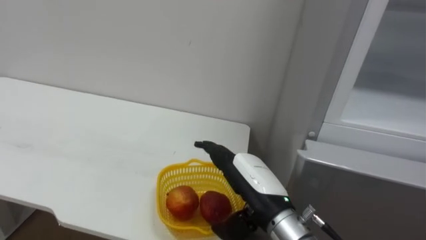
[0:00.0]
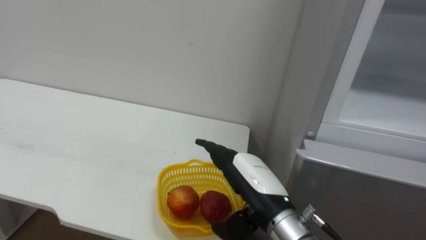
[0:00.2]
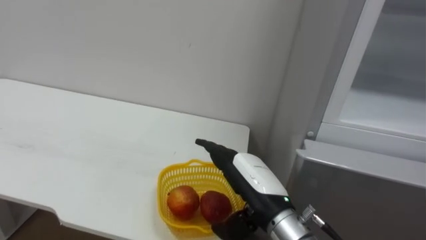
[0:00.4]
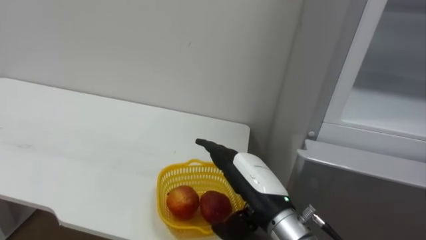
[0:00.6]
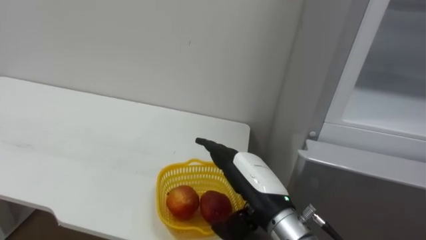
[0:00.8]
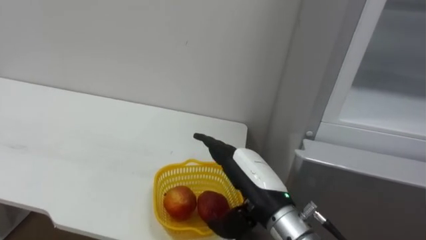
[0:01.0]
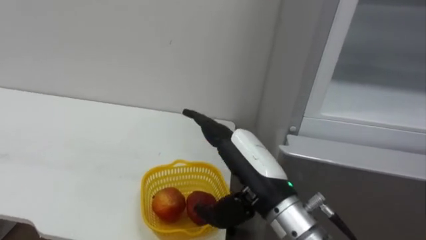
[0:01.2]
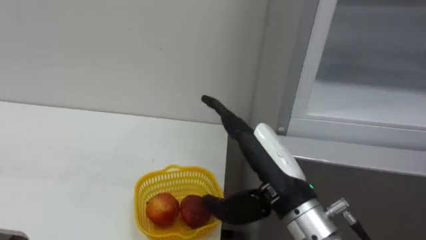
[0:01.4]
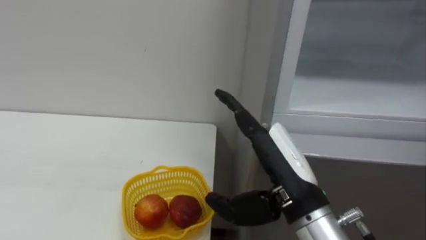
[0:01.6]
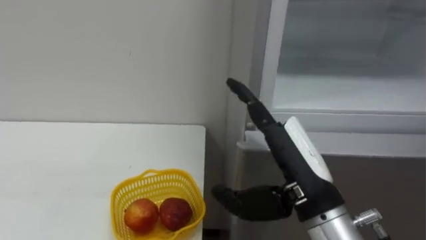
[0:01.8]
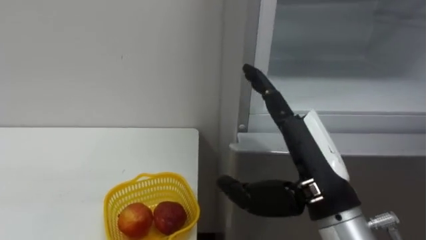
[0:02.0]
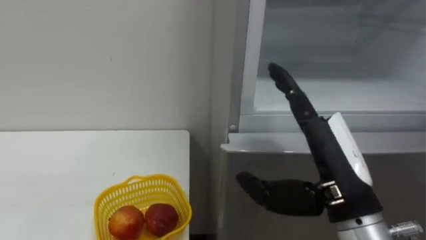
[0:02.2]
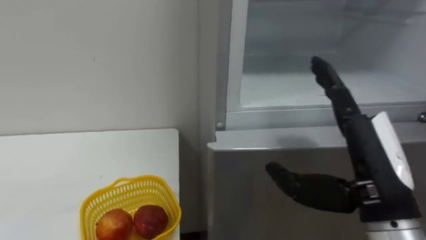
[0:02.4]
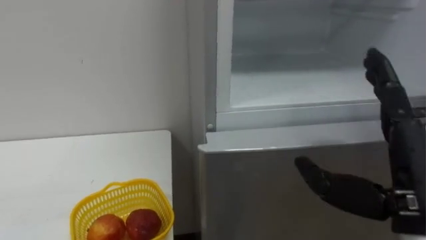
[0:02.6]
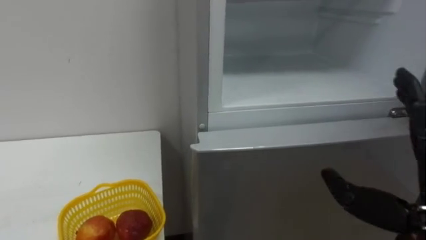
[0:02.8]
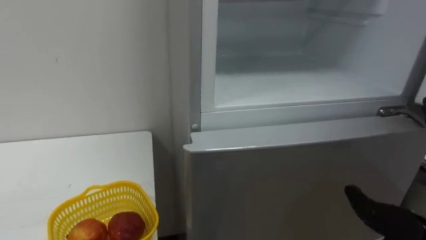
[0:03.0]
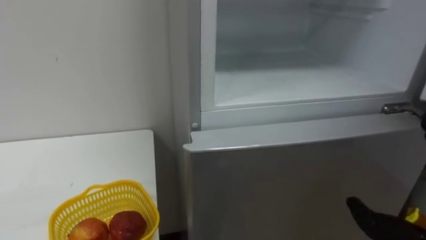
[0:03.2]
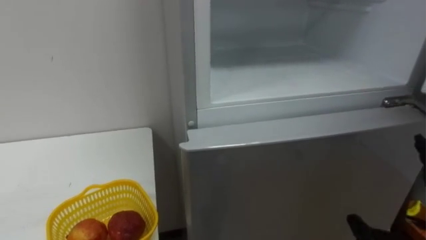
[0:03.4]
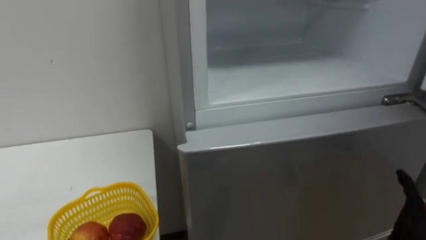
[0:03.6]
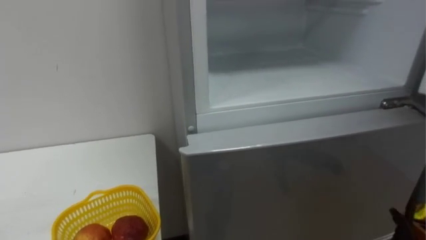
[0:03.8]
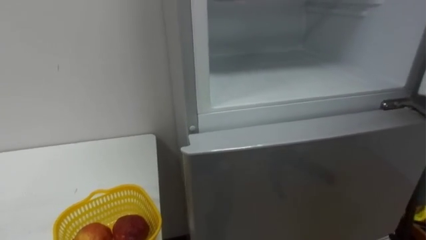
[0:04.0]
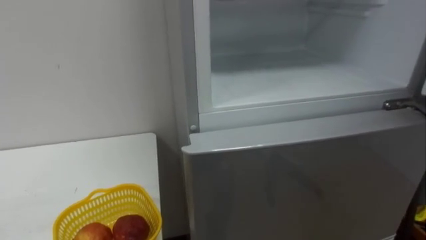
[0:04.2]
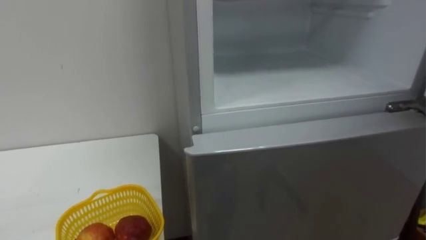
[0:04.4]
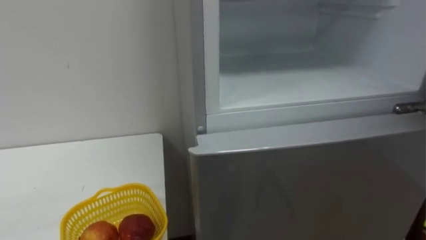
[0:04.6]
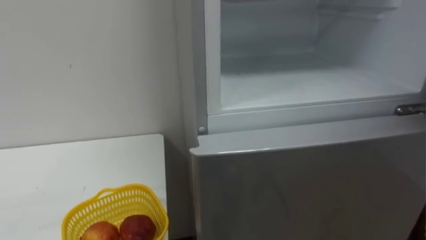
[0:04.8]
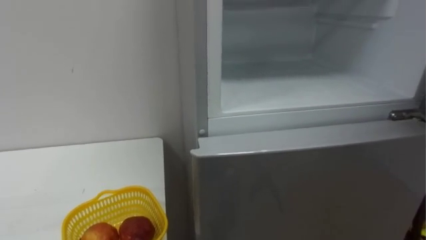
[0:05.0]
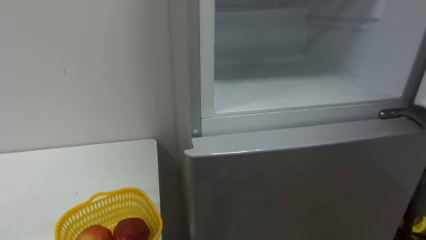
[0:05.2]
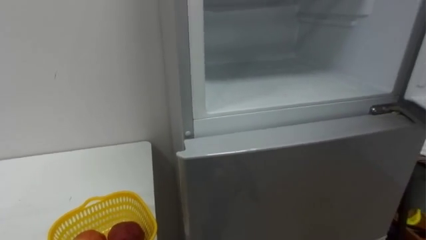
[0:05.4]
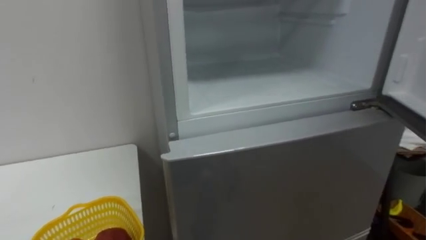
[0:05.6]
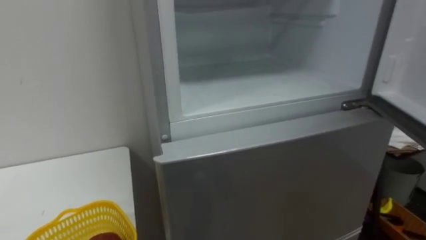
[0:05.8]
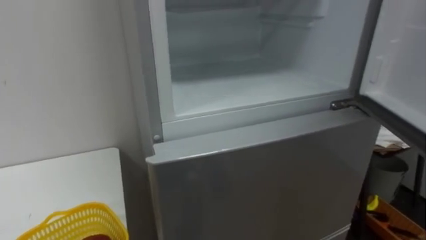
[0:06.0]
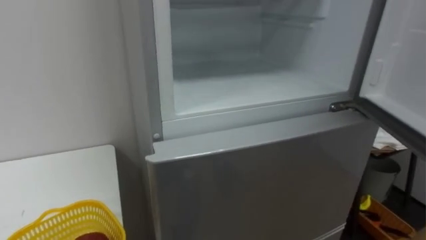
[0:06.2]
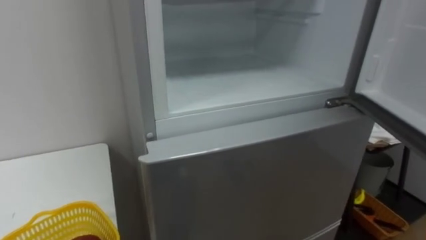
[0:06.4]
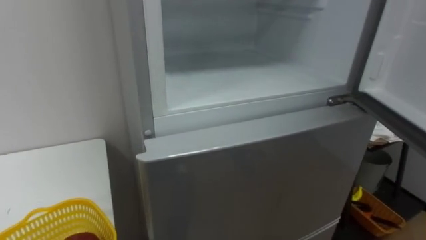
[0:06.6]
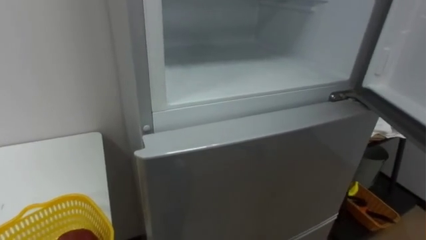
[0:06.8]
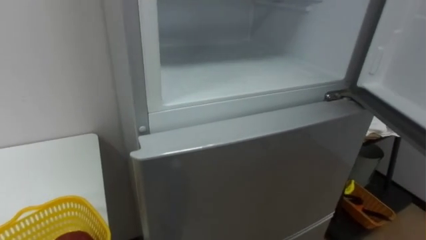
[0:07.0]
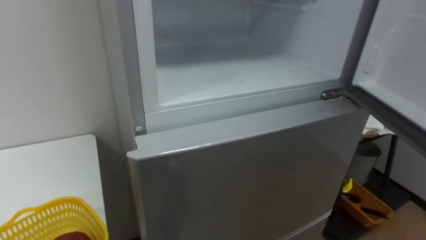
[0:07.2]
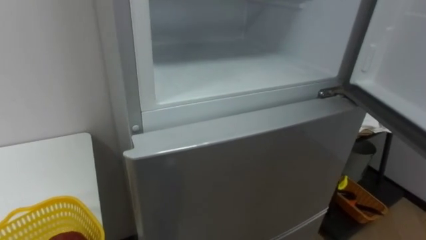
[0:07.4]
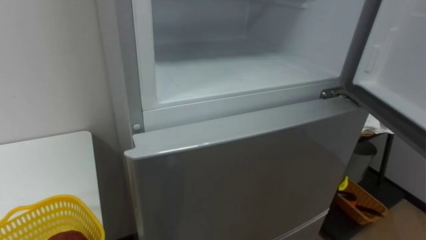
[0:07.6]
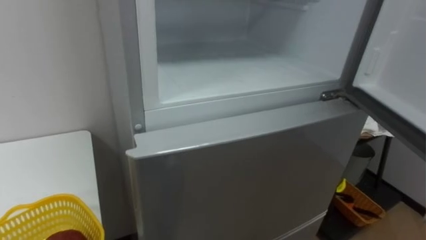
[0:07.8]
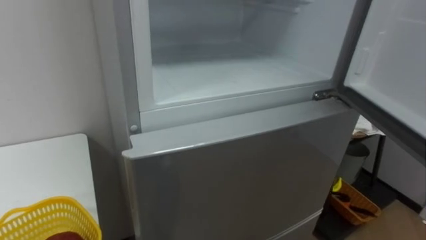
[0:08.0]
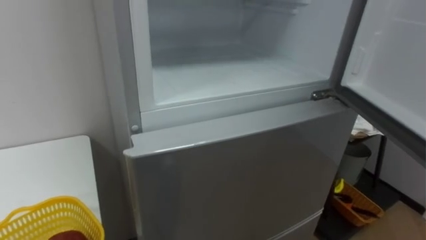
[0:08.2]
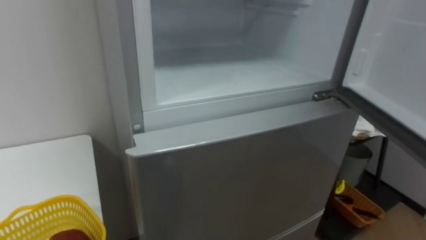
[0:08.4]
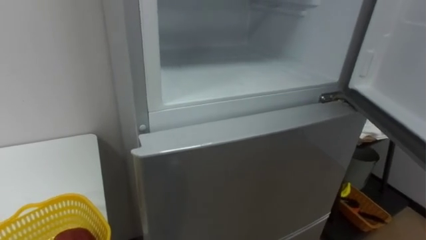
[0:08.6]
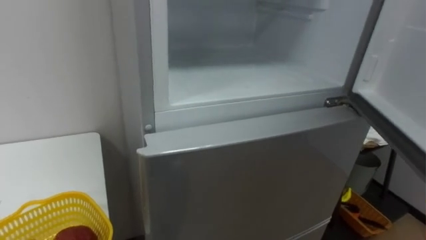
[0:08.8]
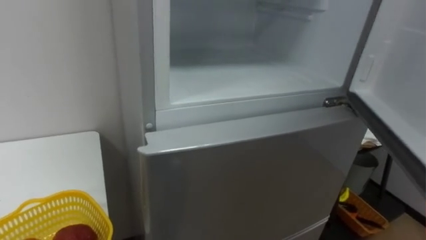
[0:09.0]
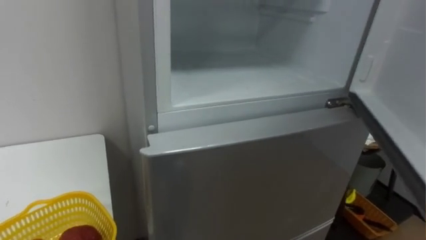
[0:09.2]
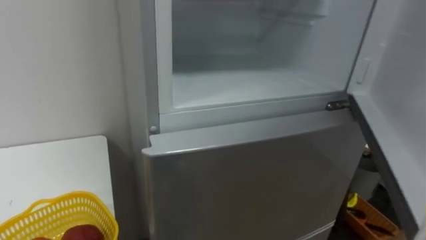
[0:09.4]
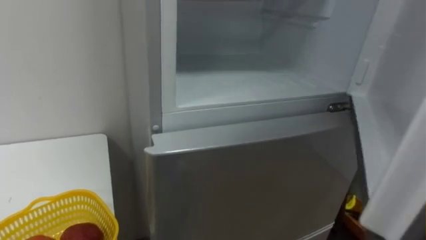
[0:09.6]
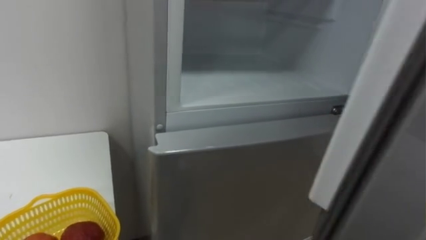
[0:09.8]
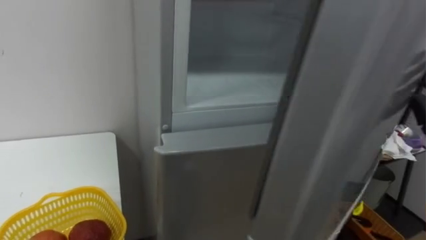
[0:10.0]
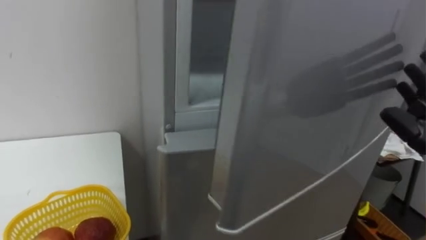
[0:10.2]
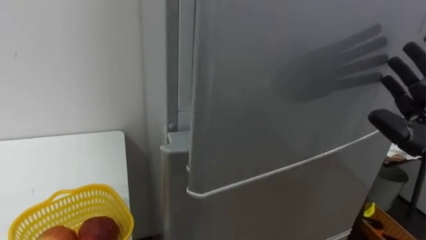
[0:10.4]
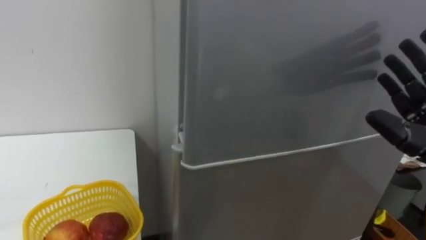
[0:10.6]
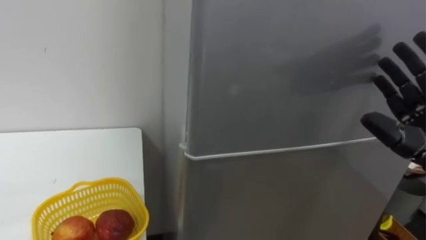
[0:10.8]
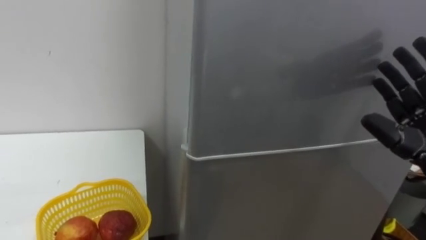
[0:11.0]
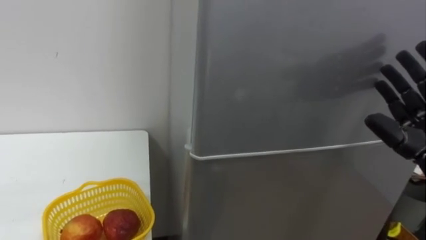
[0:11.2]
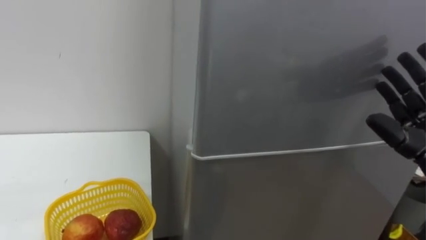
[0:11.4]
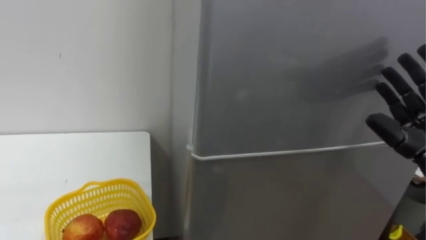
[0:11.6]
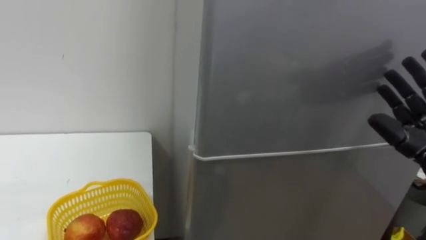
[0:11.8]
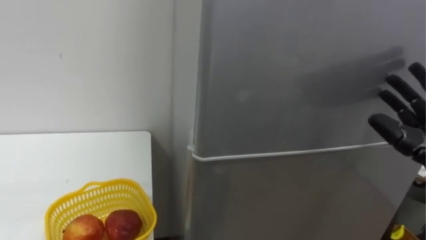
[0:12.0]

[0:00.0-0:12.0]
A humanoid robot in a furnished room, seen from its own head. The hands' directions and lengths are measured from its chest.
Task of the whole recording: Open the refrigerator door, take out the apple and the pomegranate, place them in the fruit basket on the left, and close the refrigerator door.
0:00.0 to 0:01.6: The right hand goes some 5 cm upward.

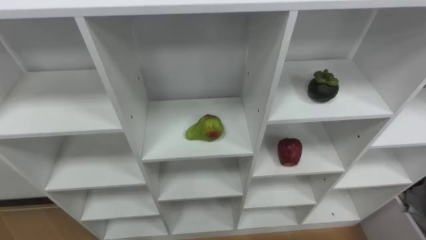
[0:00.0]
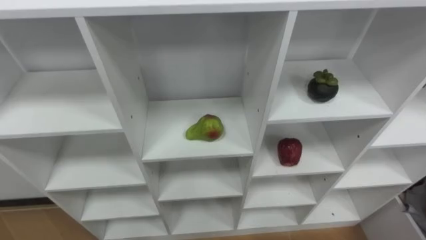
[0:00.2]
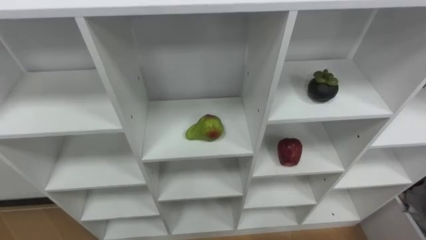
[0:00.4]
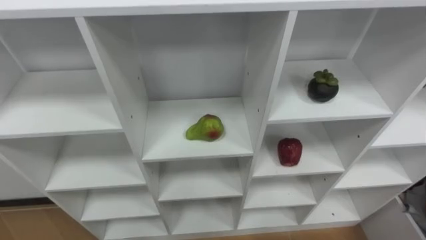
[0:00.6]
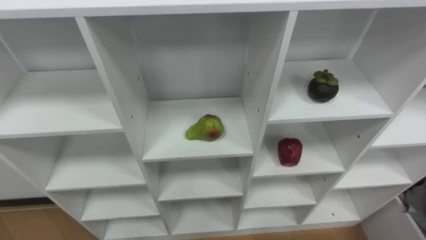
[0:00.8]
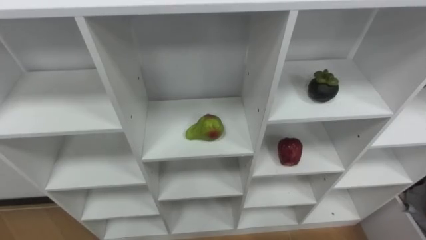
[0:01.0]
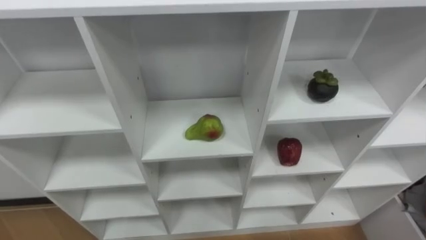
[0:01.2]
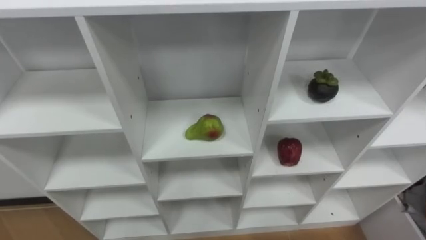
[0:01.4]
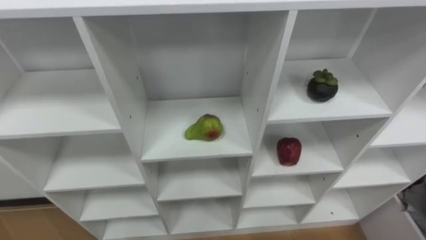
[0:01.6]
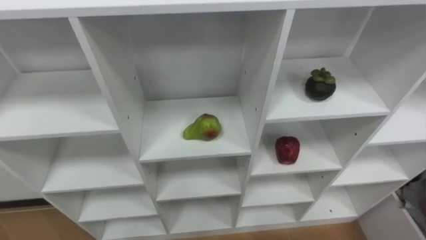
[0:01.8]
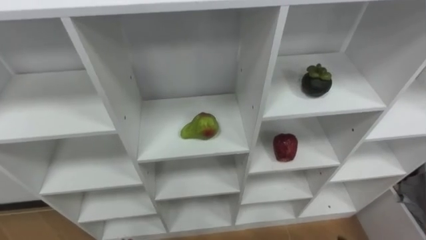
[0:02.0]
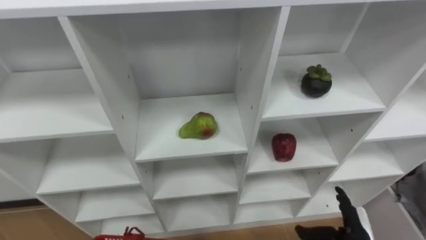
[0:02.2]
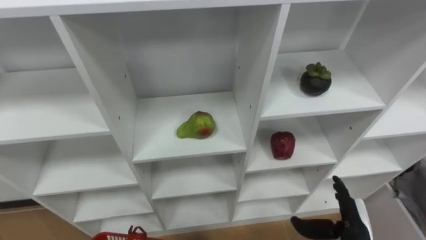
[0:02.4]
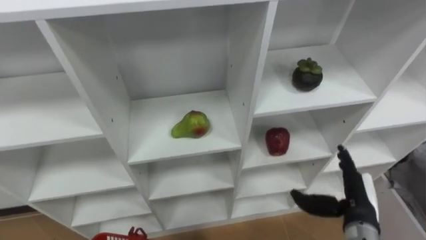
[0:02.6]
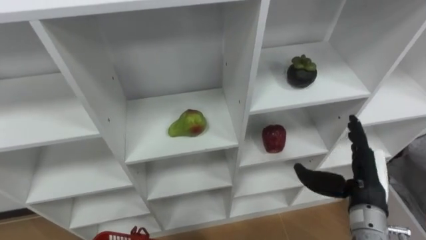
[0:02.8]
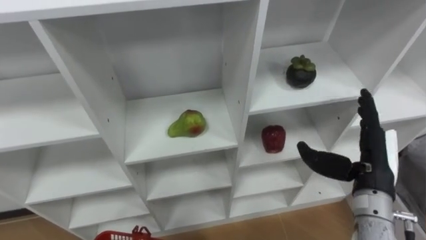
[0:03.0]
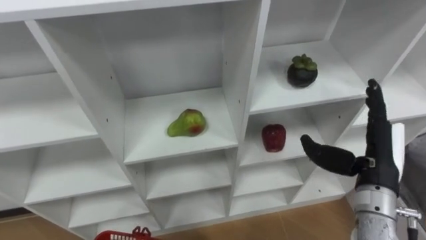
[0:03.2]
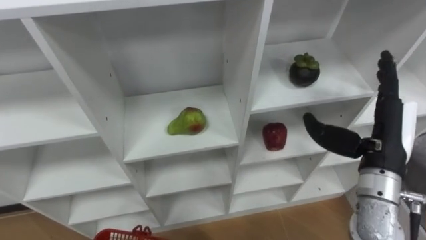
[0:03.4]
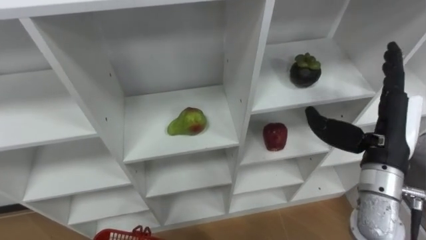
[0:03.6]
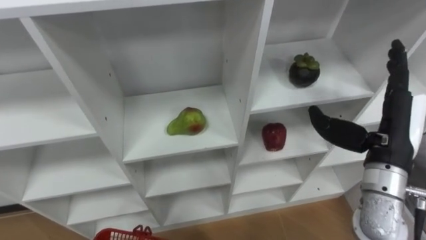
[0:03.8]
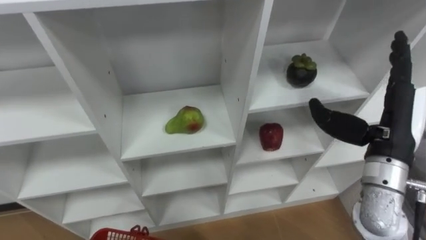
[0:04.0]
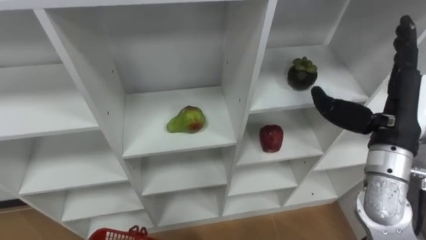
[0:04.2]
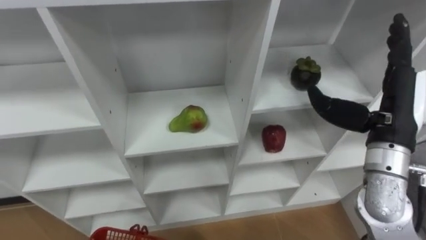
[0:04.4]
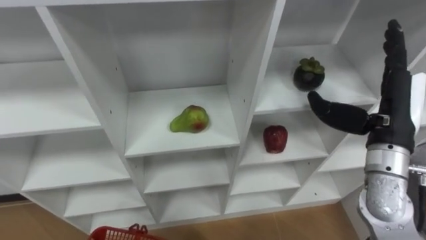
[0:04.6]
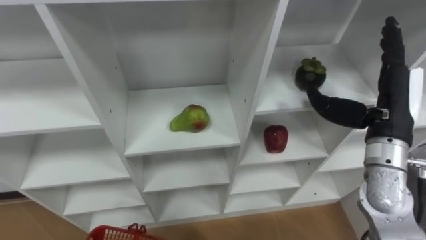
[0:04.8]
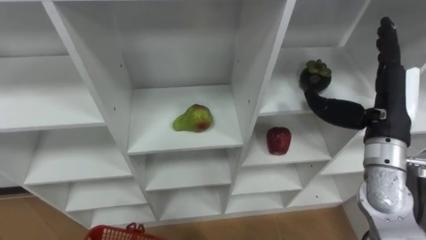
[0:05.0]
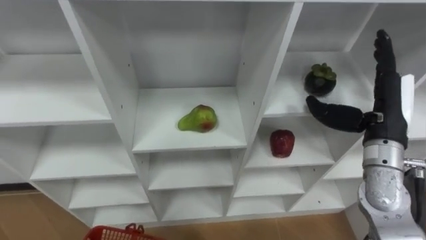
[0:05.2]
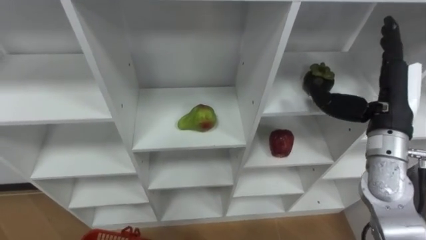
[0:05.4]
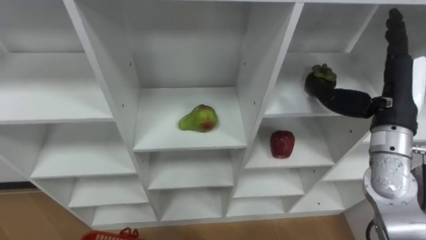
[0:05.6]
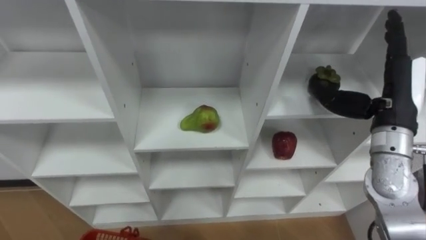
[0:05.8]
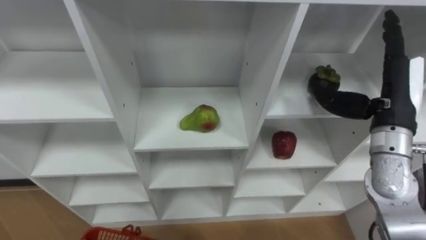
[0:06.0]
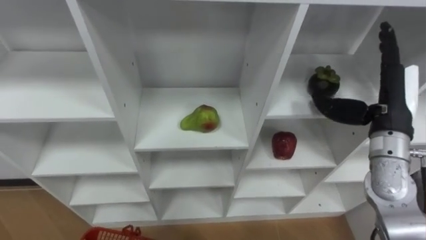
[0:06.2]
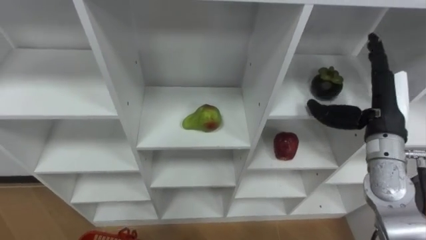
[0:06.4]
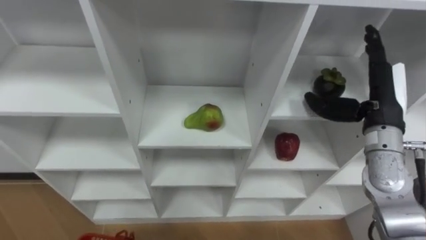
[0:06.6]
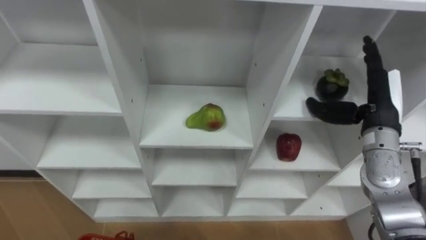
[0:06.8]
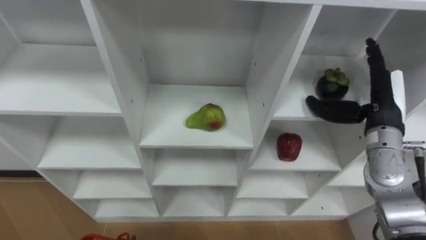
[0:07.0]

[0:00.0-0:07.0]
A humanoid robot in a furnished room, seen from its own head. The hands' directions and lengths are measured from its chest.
Task of the whole recording: Hold the basket and collect the fruits from 3 different cells of the closet into it.
0:02.8 to 0:04.2: The right hand is displaced upward by about 15 cm.
0:05.6 to 0:07.0: The right hand travels downward by about 5 cm.
